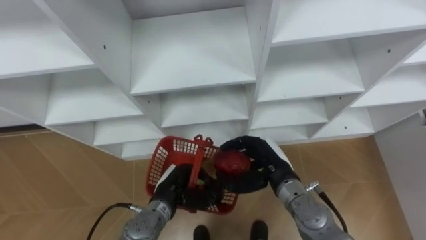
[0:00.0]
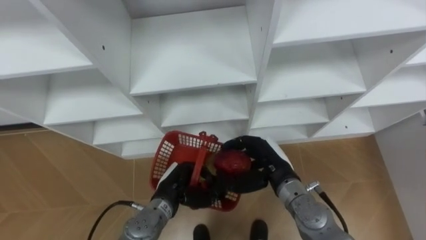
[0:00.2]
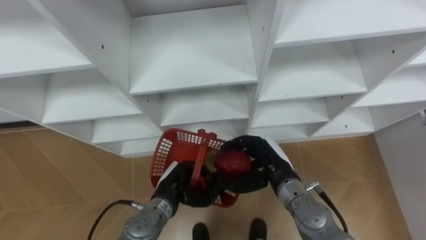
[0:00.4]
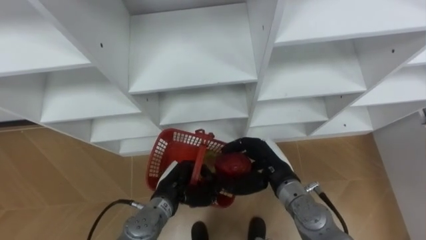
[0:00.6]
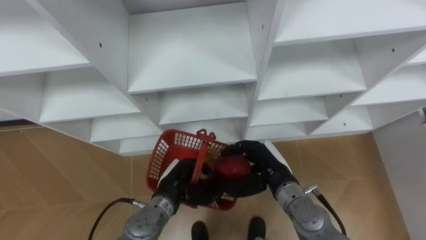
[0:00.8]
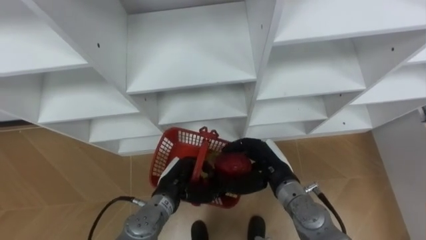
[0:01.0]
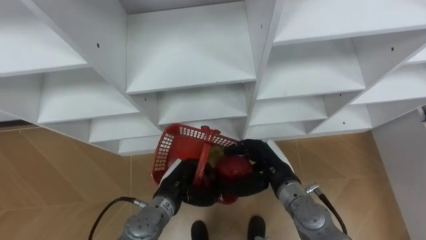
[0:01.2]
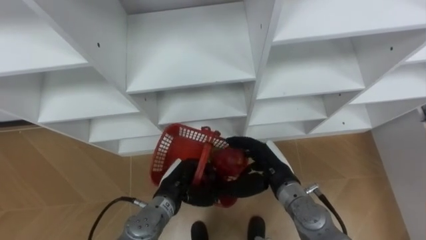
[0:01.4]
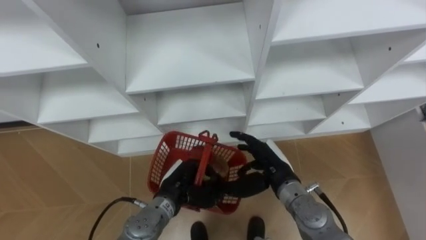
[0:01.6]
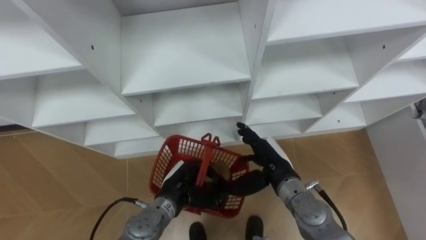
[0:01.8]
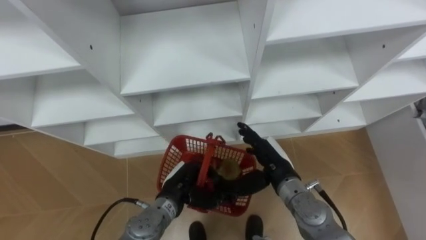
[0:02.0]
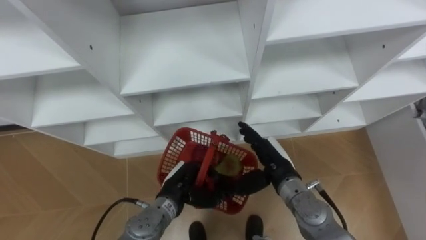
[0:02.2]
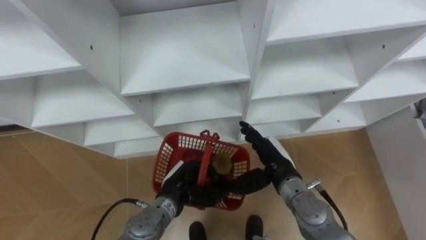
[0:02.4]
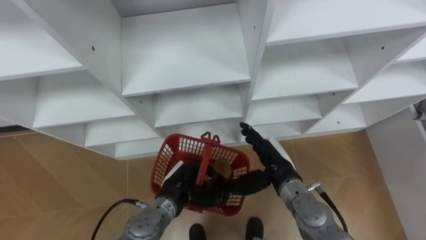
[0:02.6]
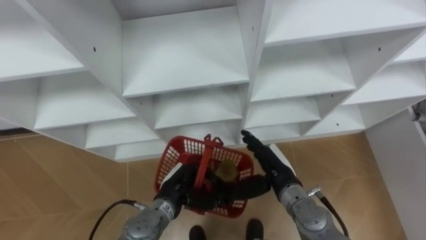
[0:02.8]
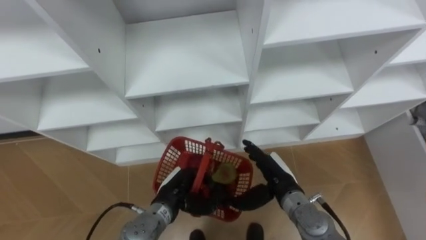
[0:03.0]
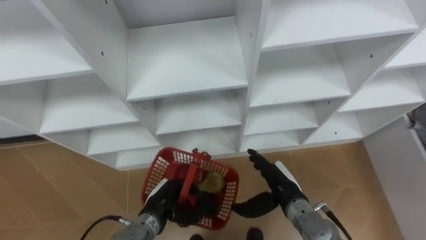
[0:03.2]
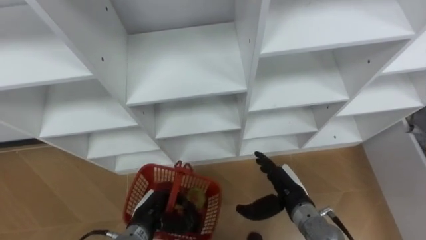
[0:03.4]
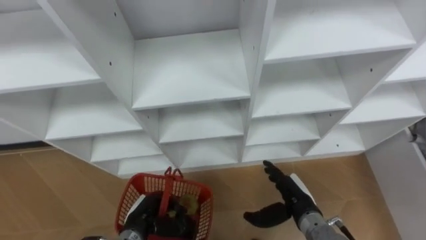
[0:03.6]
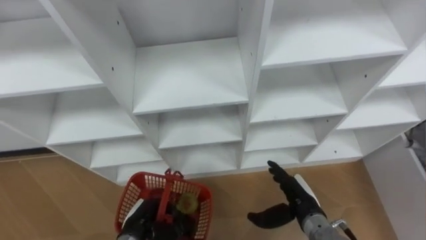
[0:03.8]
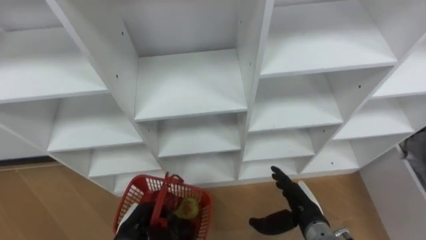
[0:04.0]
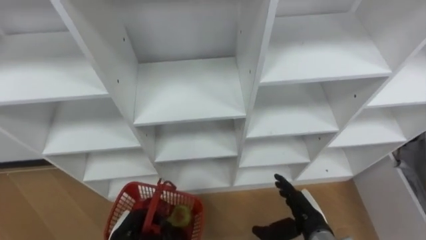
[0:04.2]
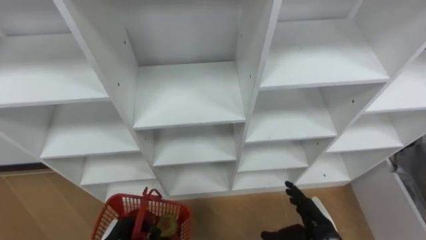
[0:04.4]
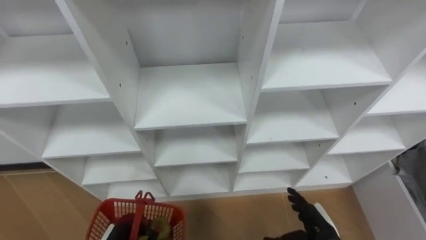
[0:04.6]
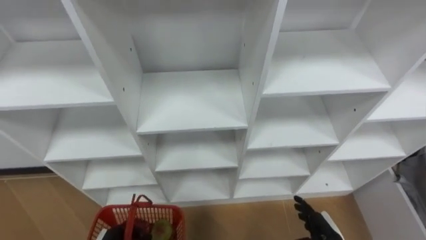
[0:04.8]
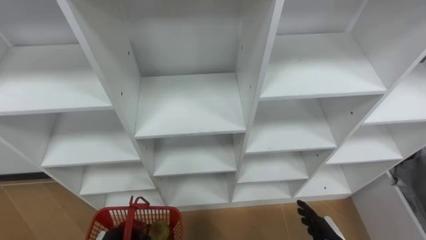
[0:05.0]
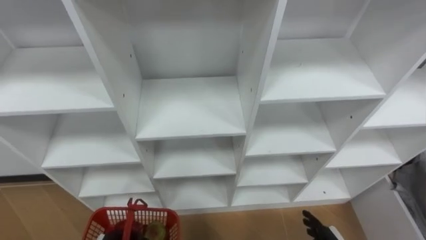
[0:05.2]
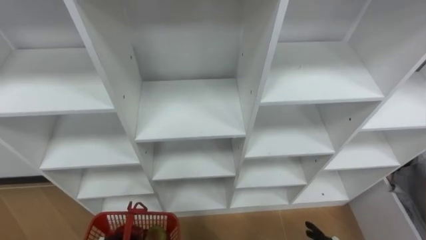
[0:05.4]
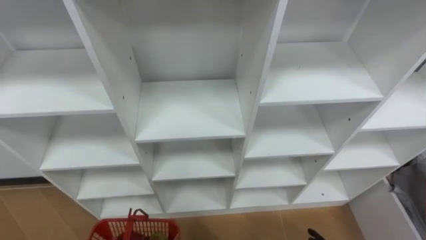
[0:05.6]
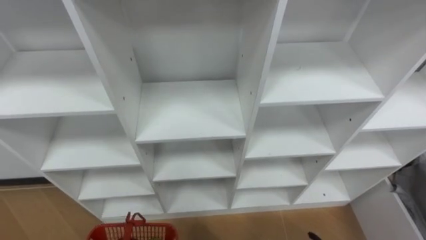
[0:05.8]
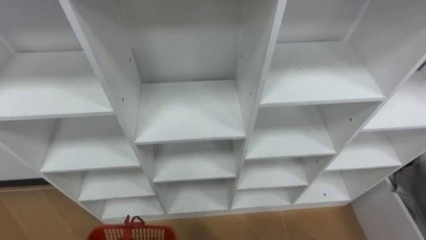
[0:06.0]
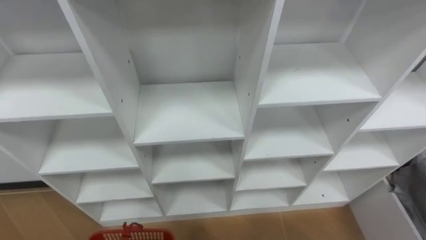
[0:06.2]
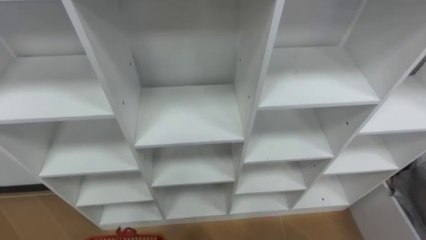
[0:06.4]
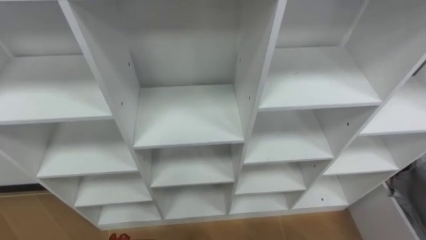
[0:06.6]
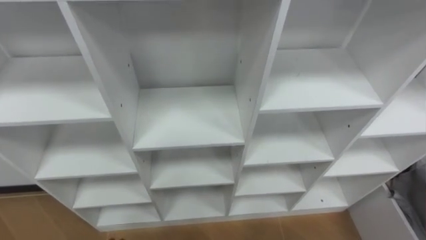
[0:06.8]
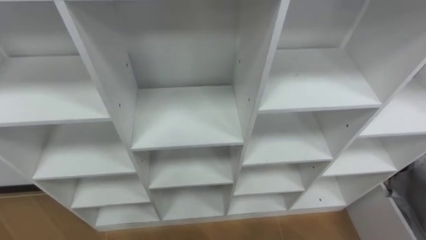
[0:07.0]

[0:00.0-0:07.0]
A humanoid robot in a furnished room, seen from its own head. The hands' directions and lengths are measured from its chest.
Task of the whole recording: Hold the basket and collect the fruits from 3 different cells of the closet into it.
0:00.0 to 0:01.4: The hands make only small movements.
0:01.4 to 0:02.8: The right hand opens its fingers.
0:02.8 to 0:04.2: The right hand shifts about 10 cm backward, to the right and downward; the left hand shifts roughly 15 cm to the left, backward and downward.

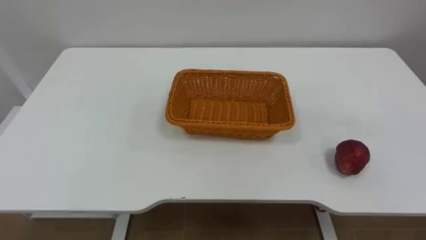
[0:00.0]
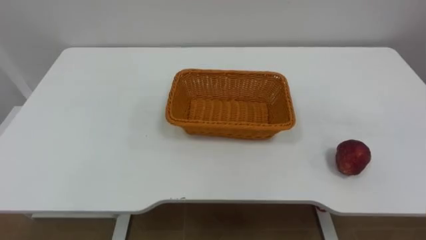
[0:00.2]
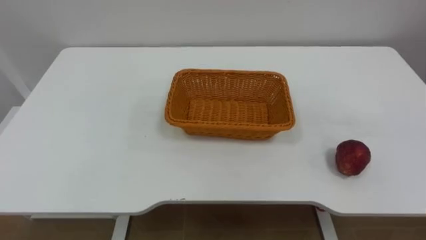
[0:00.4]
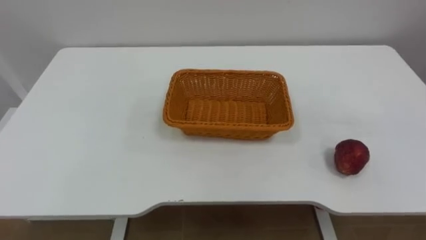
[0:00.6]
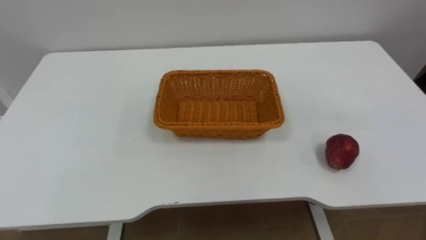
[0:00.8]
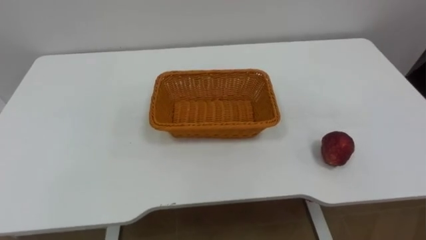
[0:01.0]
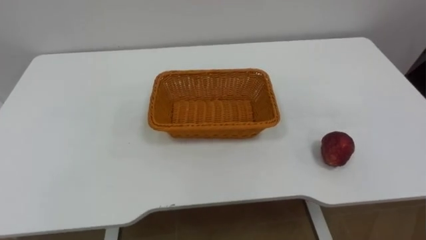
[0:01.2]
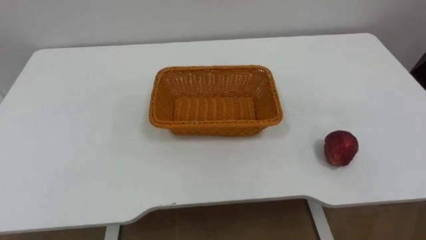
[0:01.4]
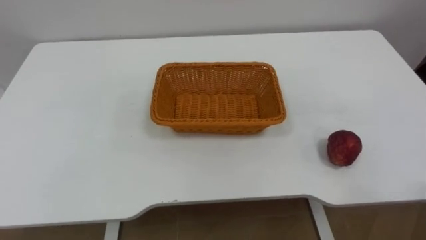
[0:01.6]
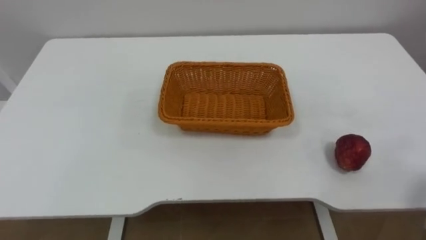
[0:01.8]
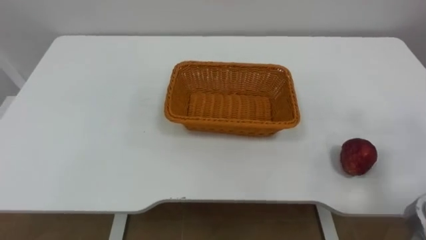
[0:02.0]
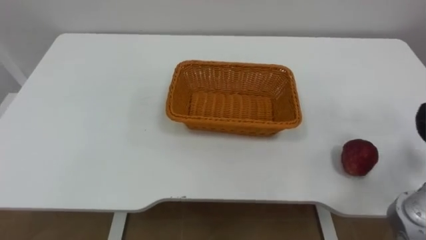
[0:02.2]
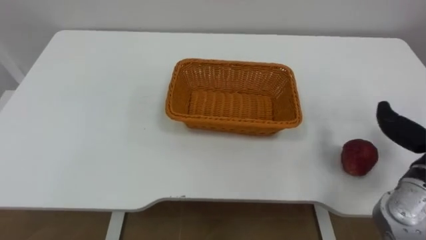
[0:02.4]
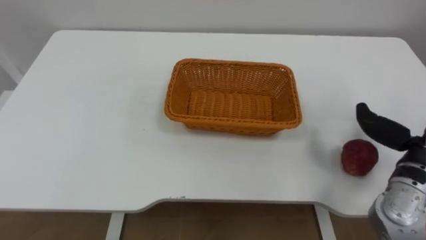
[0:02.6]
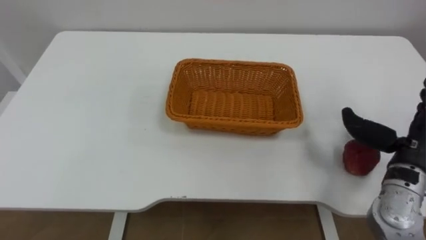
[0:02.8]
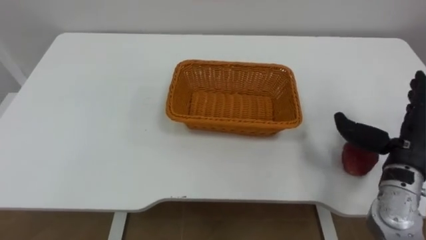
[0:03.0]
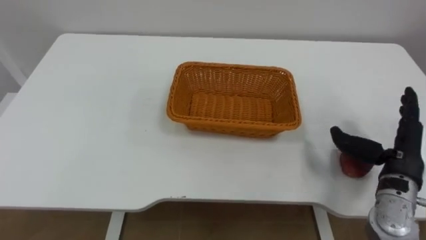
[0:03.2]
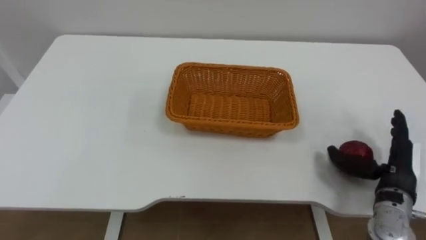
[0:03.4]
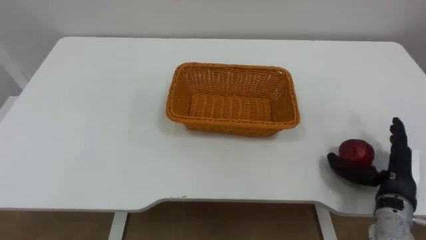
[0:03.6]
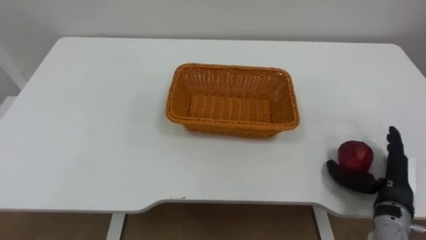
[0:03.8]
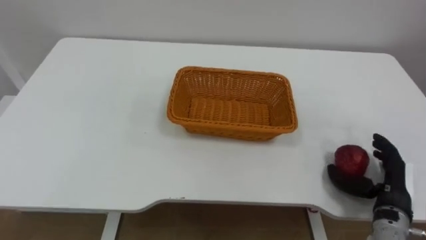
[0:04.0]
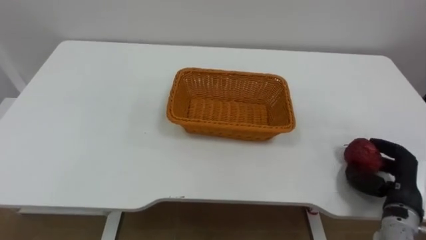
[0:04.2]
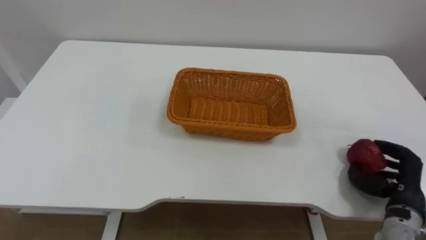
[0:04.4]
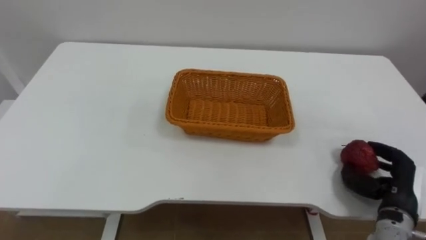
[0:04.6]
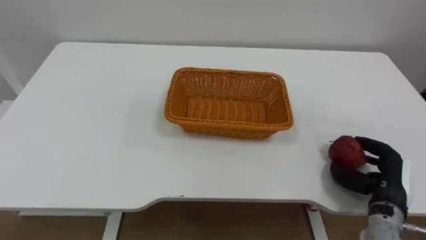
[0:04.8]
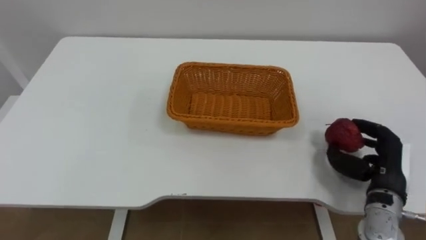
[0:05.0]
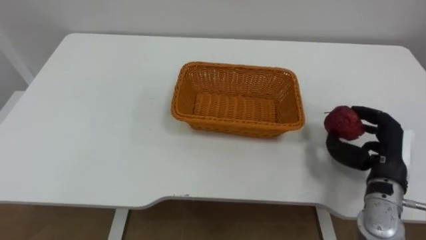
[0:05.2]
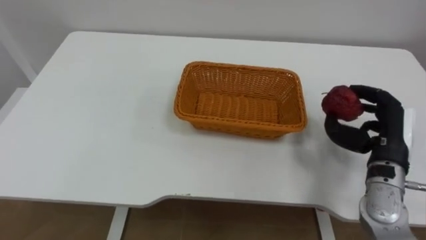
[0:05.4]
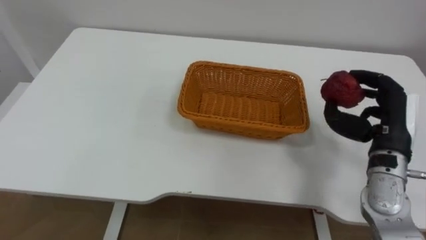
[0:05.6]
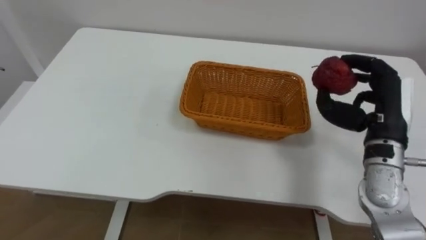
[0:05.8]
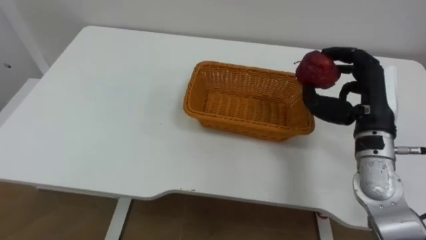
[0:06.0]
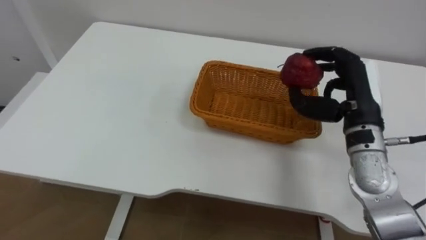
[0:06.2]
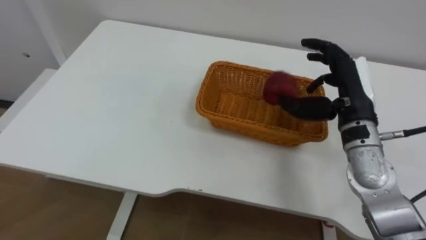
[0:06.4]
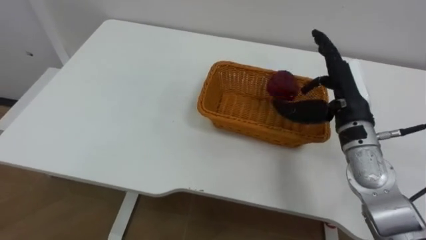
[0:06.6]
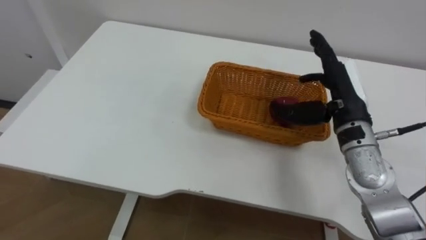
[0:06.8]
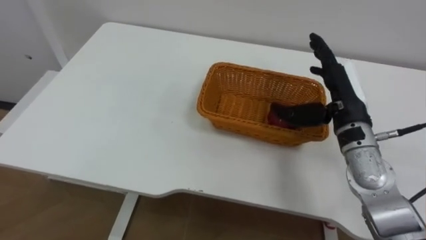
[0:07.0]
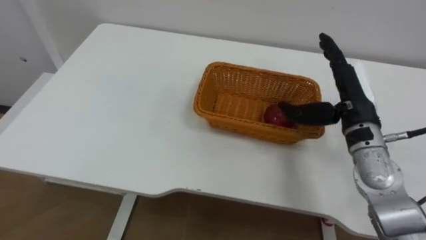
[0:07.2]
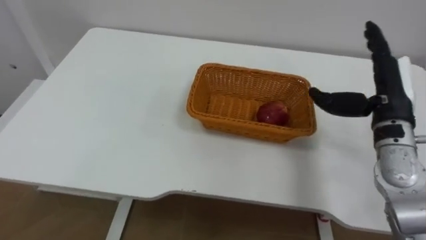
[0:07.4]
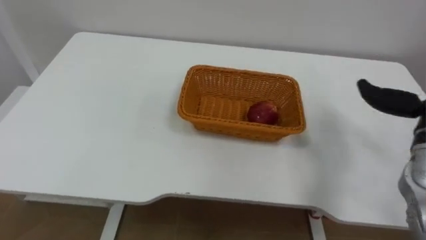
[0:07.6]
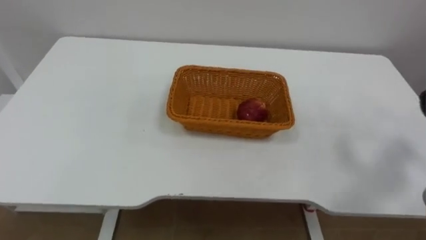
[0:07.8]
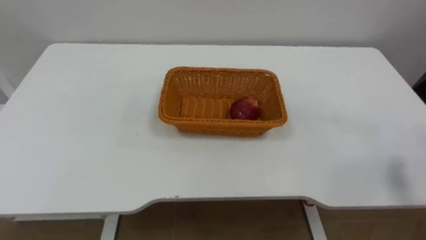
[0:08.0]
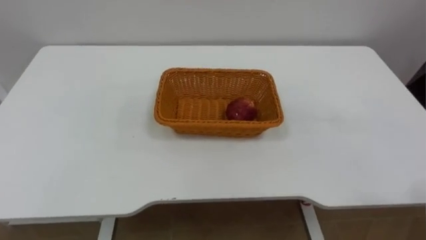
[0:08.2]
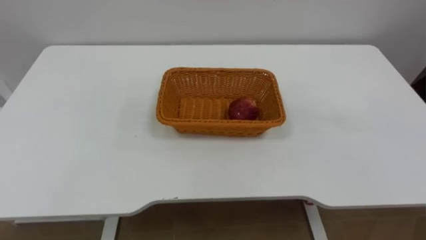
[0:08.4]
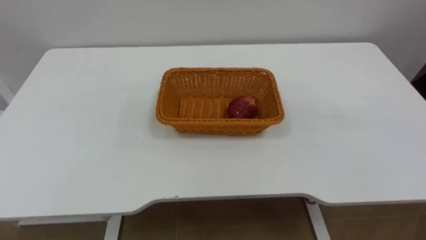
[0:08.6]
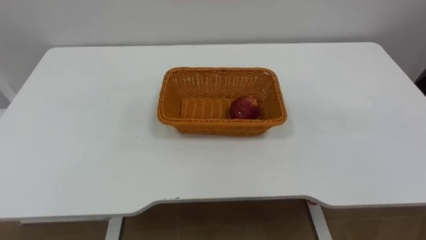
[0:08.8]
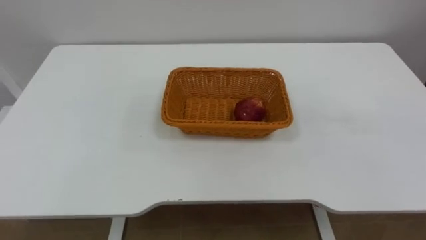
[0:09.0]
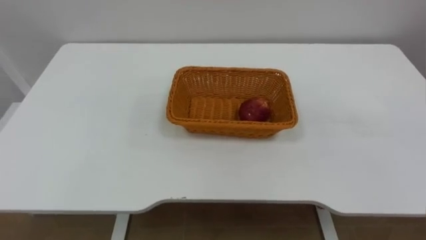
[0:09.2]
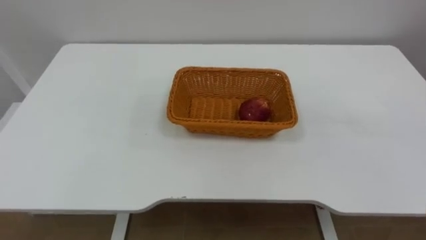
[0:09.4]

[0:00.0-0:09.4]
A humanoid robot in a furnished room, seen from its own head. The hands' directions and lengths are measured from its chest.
Task of the whole recording: Pick the apple and place it in the box.
0:03.2 to 0:04.8: The right hand travels downward by approximately 10 cm, and closes its fingers.
0:04.8 to 0:06.2: The right hand heads upward, forward and to the left, covering approximately 20 cm.
